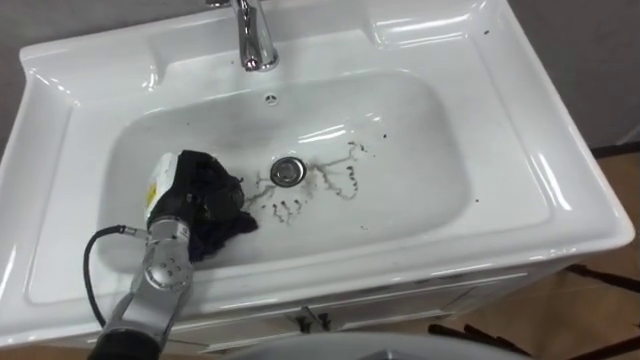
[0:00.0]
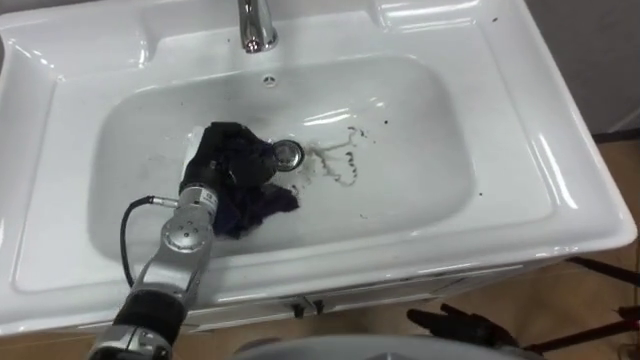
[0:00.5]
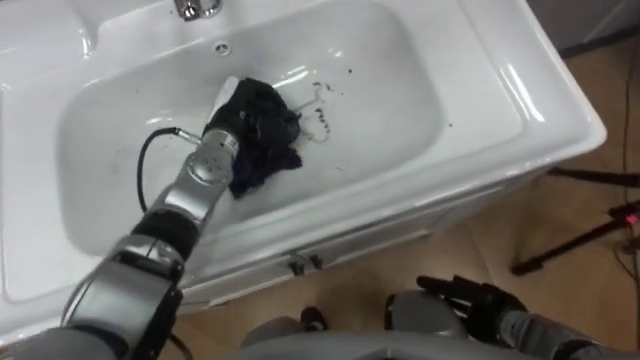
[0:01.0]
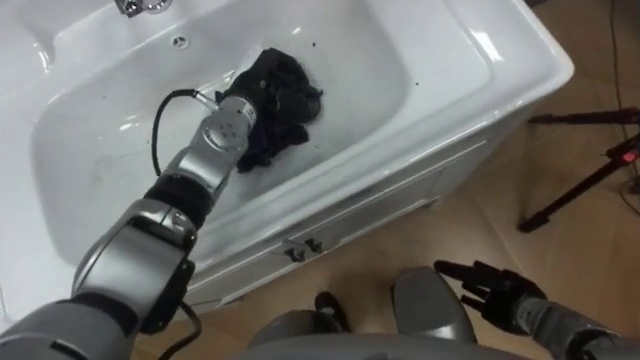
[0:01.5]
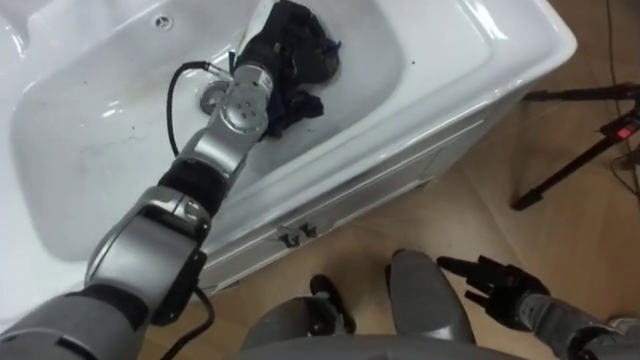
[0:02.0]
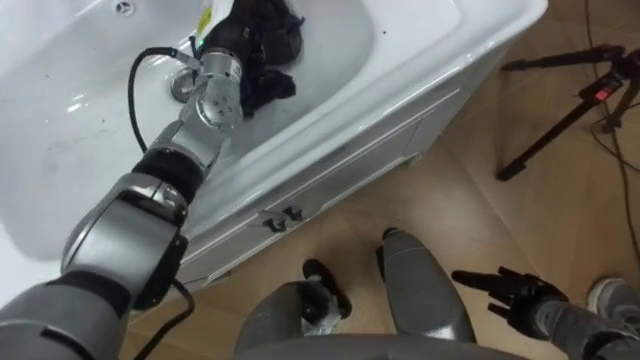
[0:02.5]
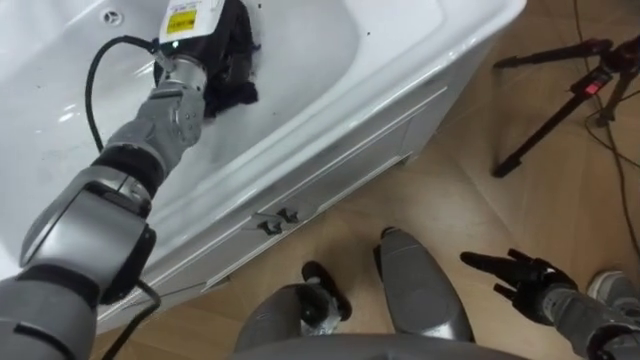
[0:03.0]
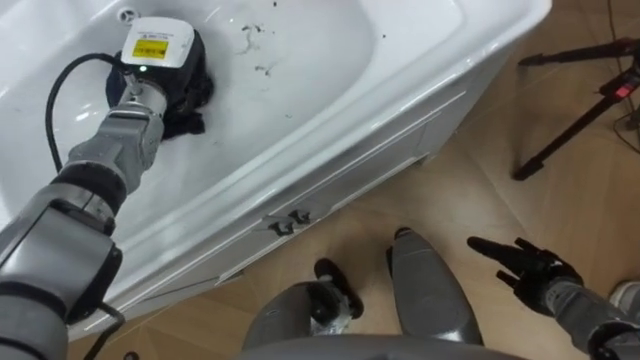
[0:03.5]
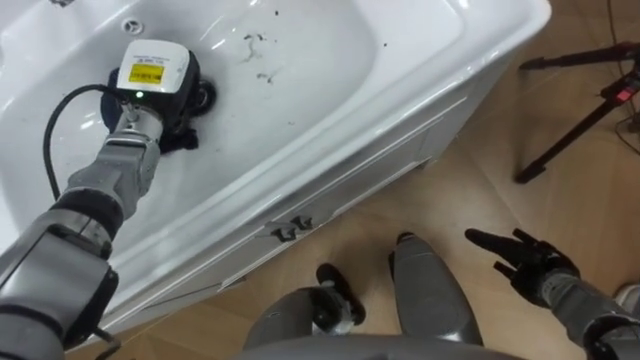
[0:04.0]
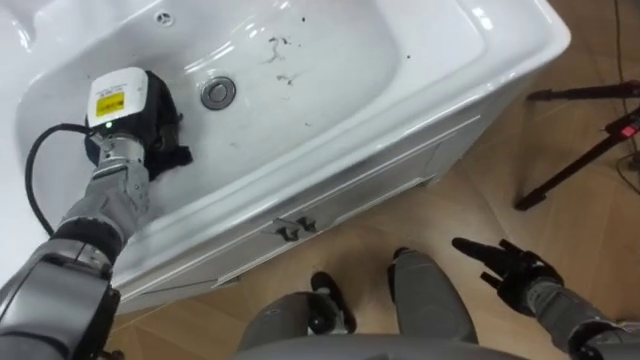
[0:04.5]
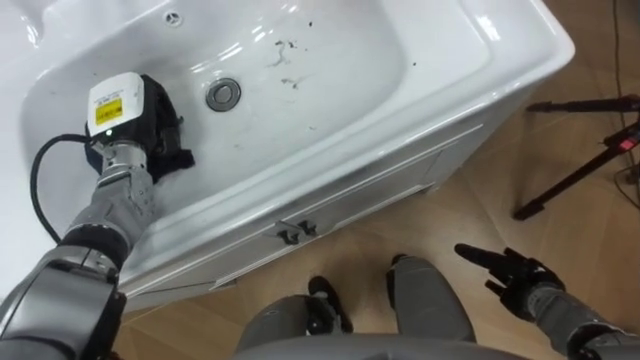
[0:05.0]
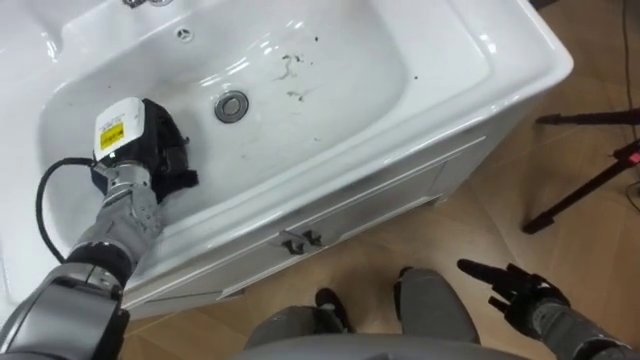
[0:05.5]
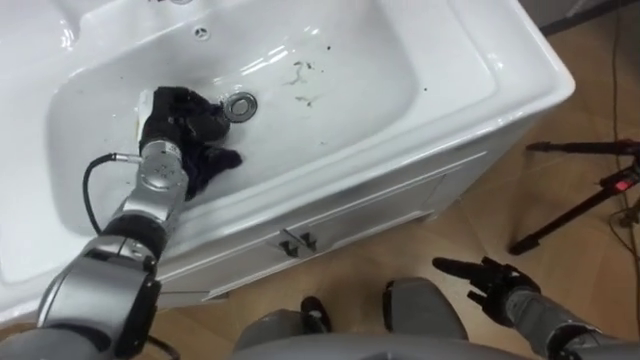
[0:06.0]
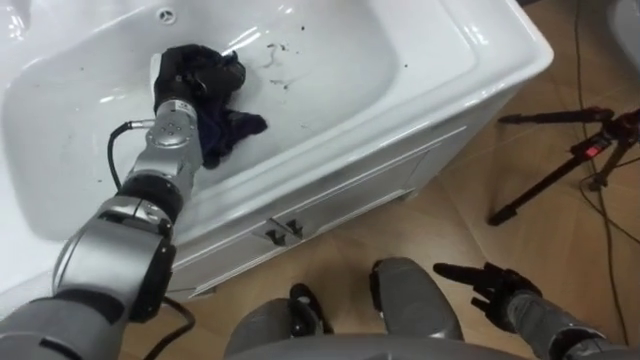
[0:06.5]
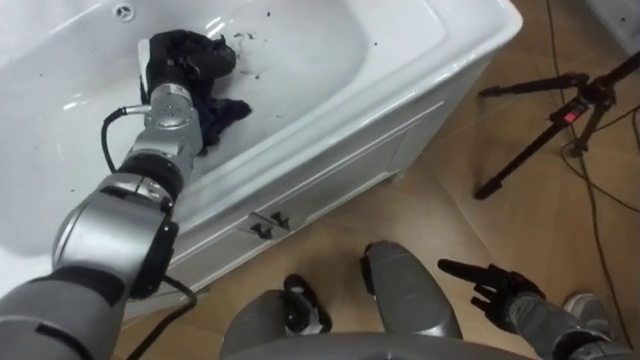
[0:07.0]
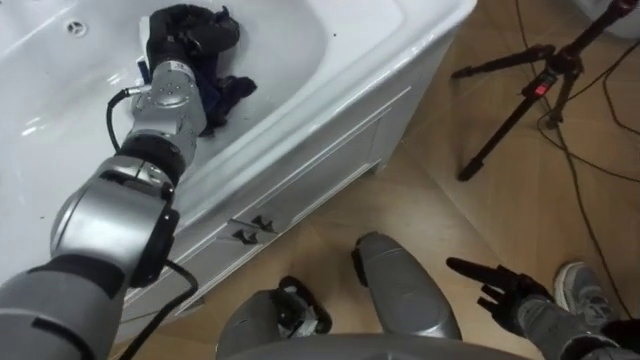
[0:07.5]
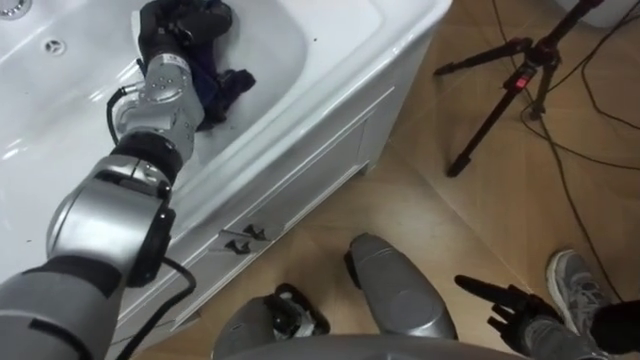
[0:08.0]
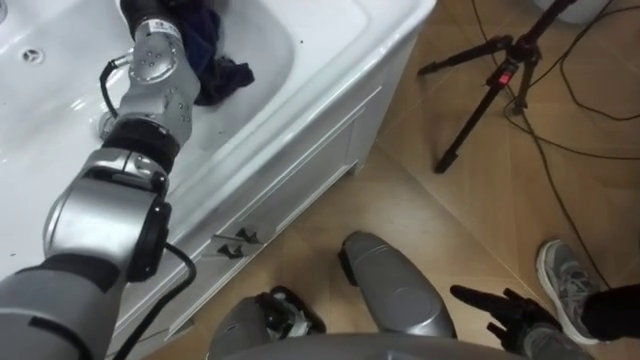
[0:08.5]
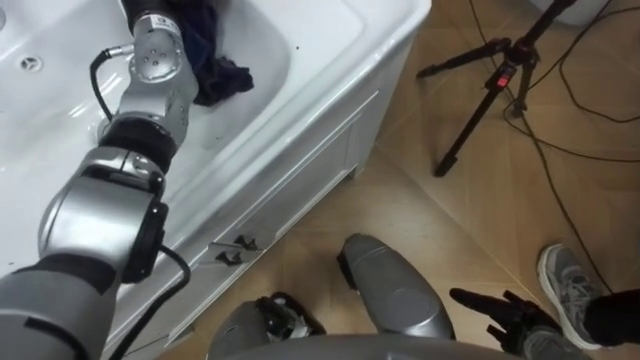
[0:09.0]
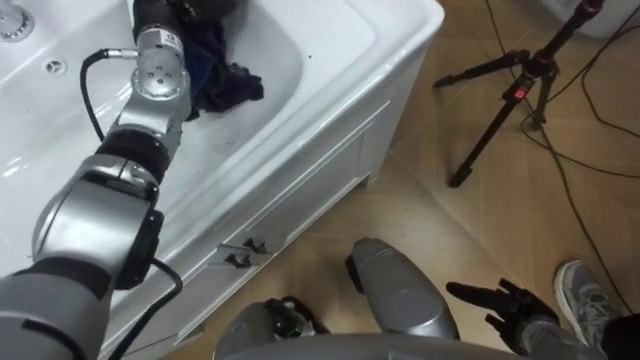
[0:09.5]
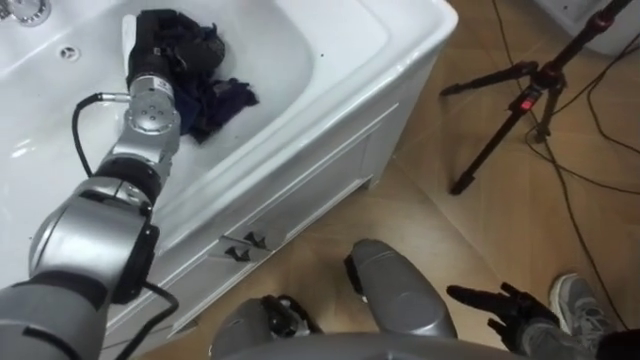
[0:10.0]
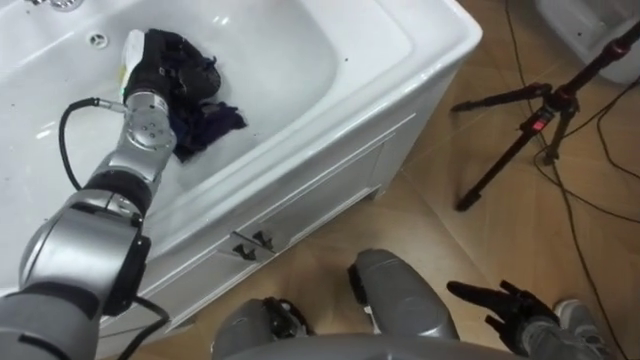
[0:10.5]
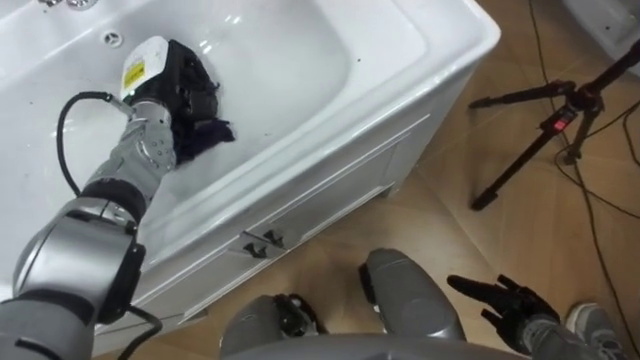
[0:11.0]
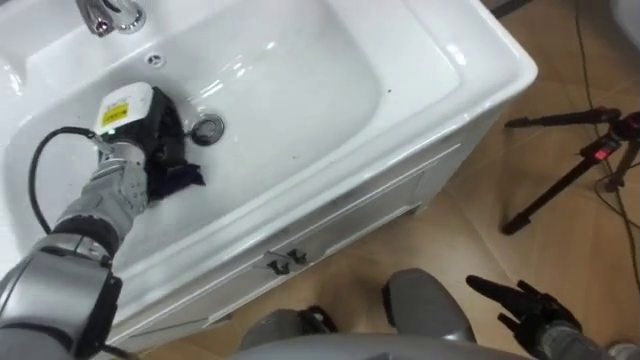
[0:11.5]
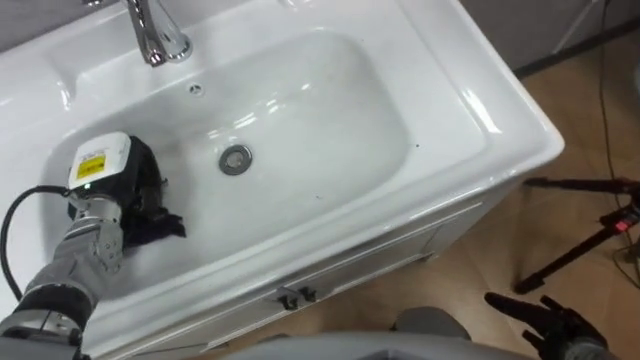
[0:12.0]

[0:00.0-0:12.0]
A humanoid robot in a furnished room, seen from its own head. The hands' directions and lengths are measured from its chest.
Task of the whole recording: Use the cloth on the right to wipe away the black stain in the sink.
0:00.0 to 0:02.0: The left hand shifts some 25 cm forward, to the right and upward.
0:02.0 to 0:04.0: The left hand heads to the left, covering some 15 cm; the right hand shifts by roughly 5 cm.
0:04.0 to 0:06.0: The right hand shifts by approximately 5 cm, while the left hand goes roughly 5 cm downward.
0:06.0 to 0:08.0: The right hand changes place by about 5 cm, while the left hand is displaced upward and forward by some 10 cm.
0:10.0 to 0:12.0: The right hand changes place by roughly 5 cm. Meanwhile the left hand is displaced backward, downward and to the left by about 15 cm.

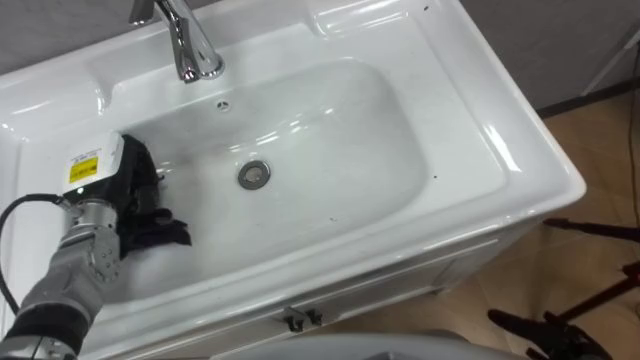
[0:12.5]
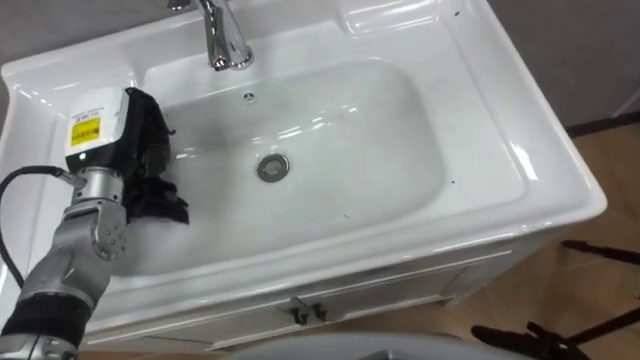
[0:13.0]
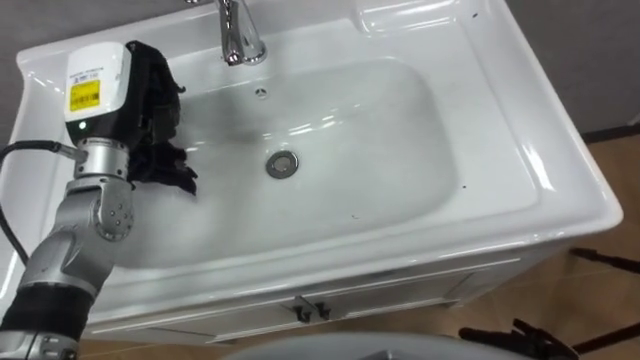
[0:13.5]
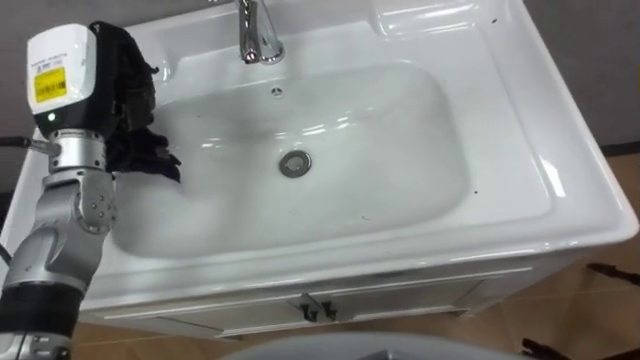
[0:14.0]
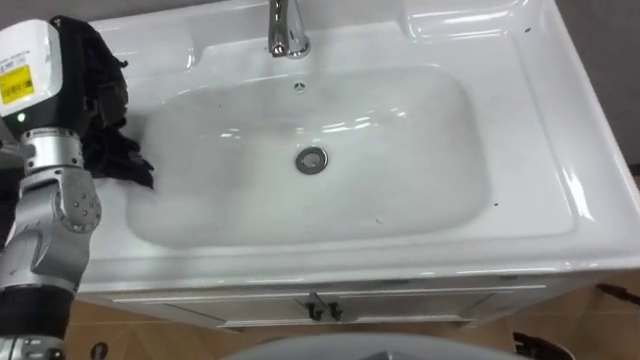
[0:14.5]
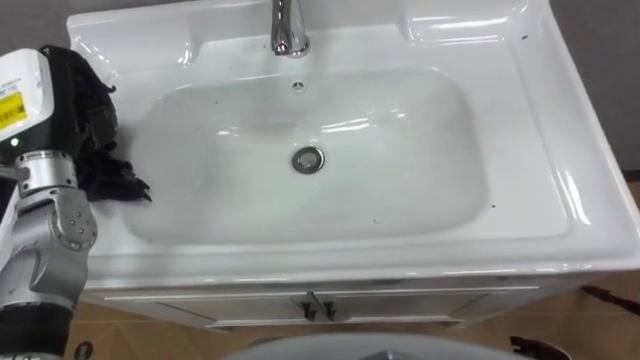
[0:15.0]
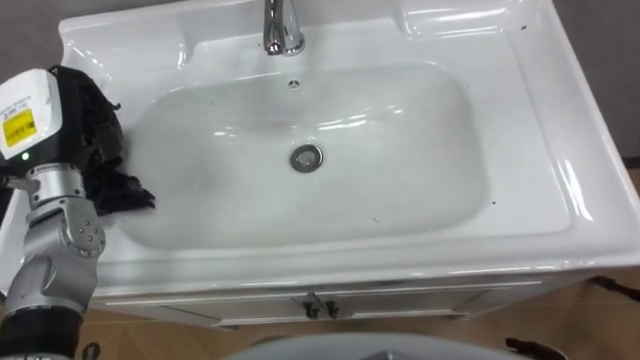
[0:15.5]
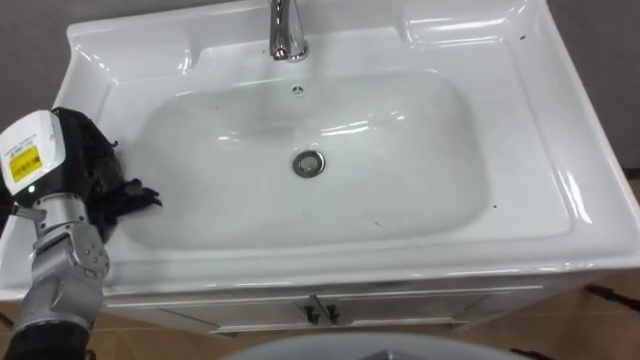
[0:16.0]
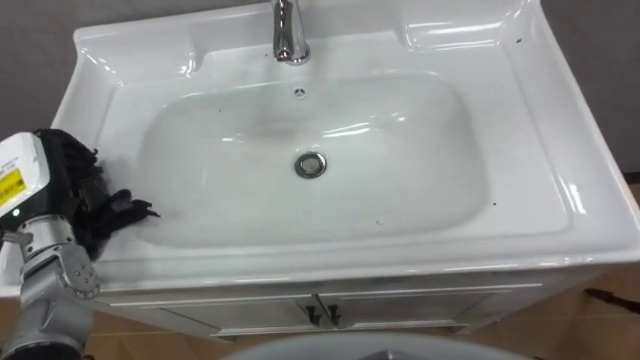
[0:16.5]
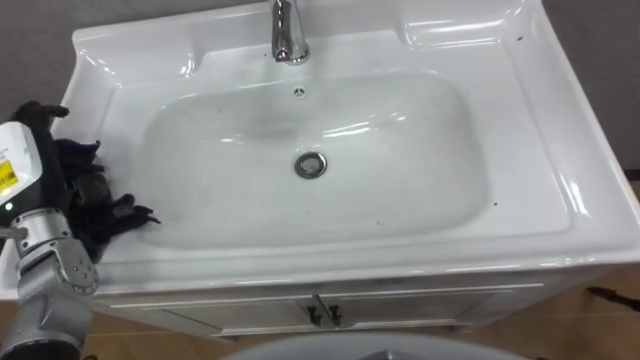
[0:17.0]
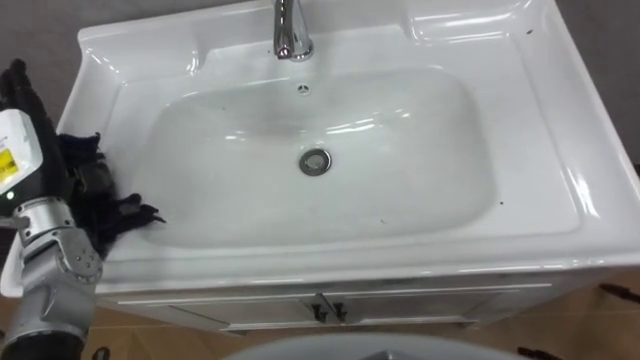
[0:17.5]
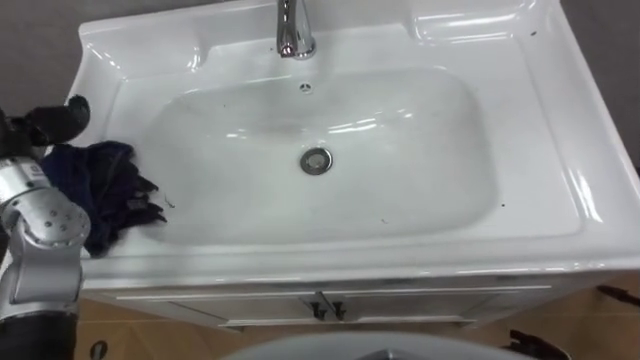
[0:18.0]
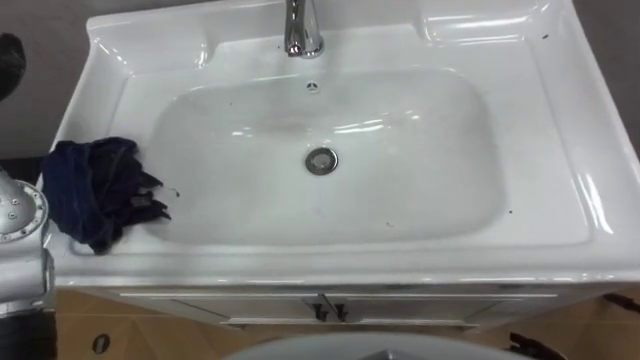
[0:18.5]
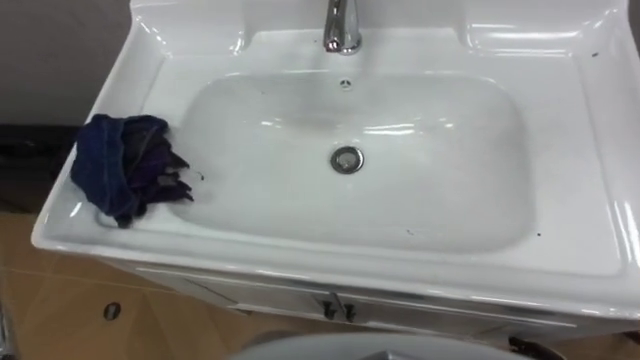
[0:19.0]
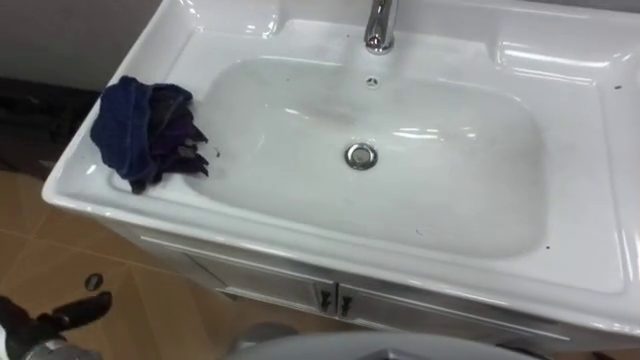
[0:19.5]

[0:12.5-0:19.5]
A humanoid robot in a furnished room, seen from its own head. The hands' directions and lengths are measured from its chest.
Task of the whole recording: Use the cloth on the right to wipe away the black stain in the sink.
0:12.5 to 0:14.5: The left hand is displaced upward by about 15 cm.
0:14.5 to 0:16.0: The left hand goes approximately 10 cm downward.
0:16.0 to 0:17.5: The left hand opens.

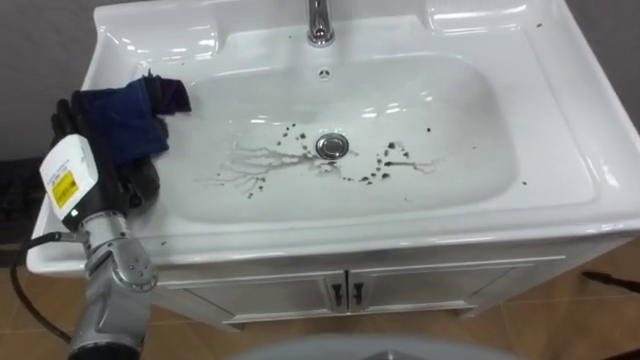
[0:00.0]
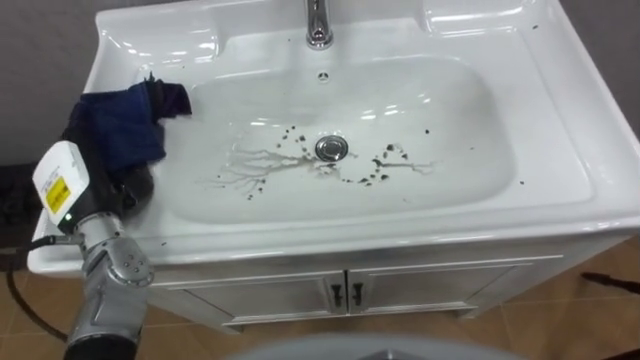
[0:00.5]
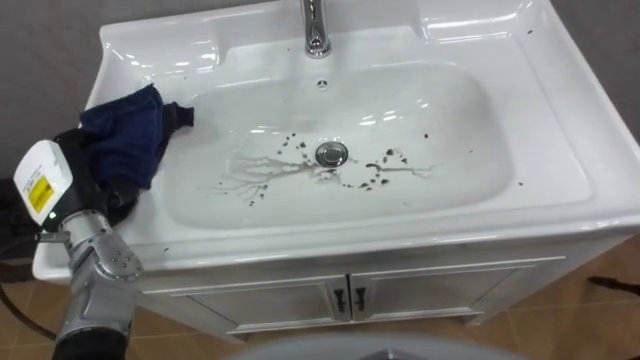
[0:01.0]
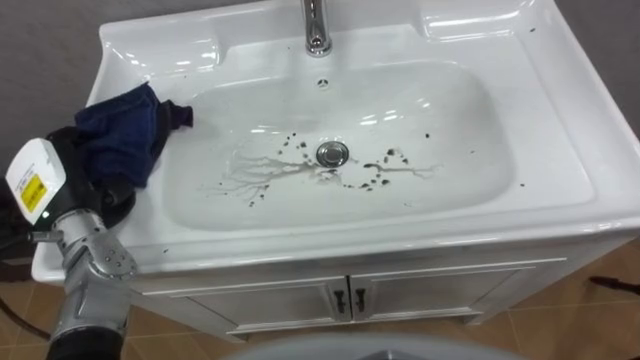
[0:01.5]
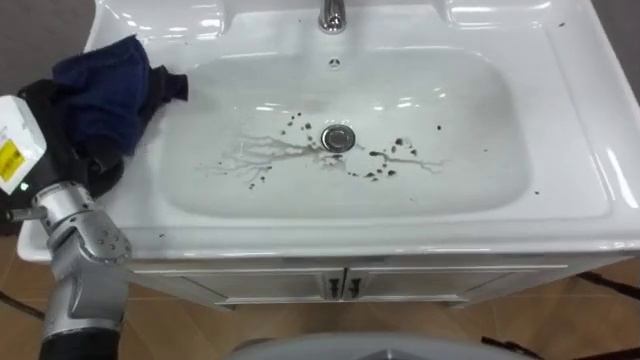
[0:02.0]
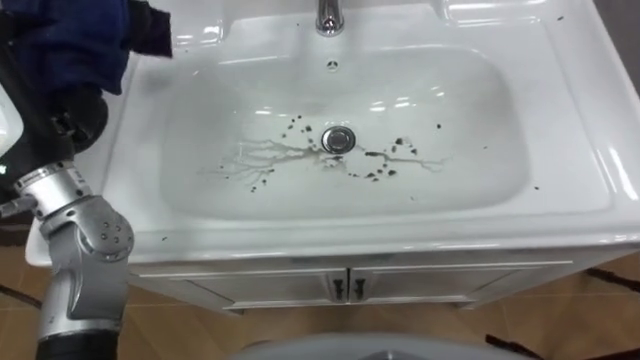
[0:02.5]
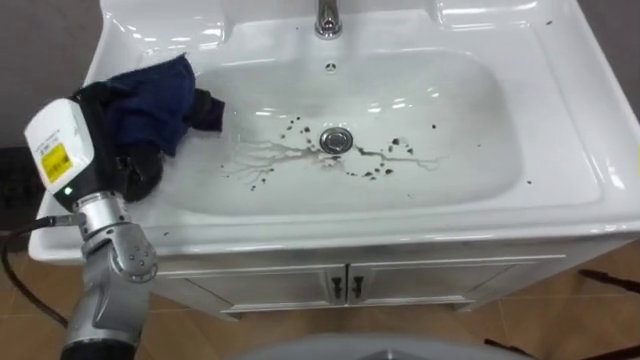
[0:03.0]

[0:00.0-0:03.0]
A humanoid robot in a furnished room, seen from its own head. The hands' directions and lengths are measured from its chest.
Task of the whole recording: Use the cloth on the right to wipe away the black stain in the sink.
0:00.0 to 0:01.5: The left hand closes its fingers.
